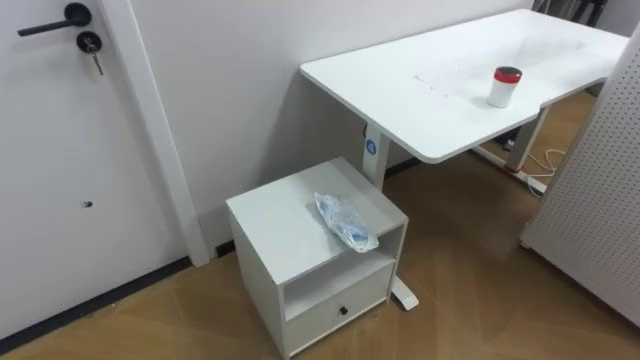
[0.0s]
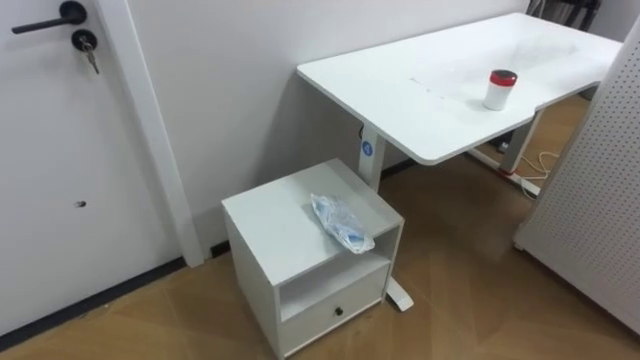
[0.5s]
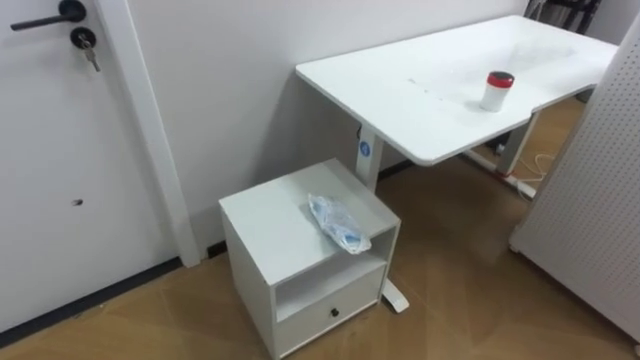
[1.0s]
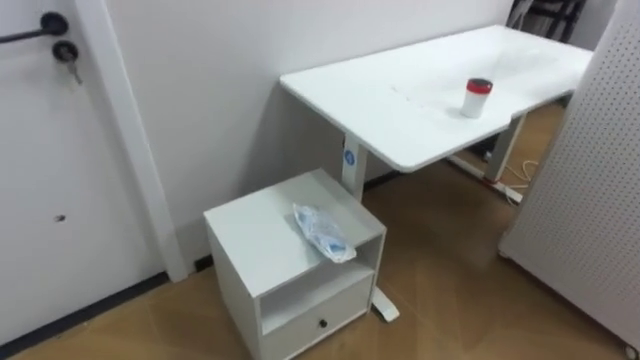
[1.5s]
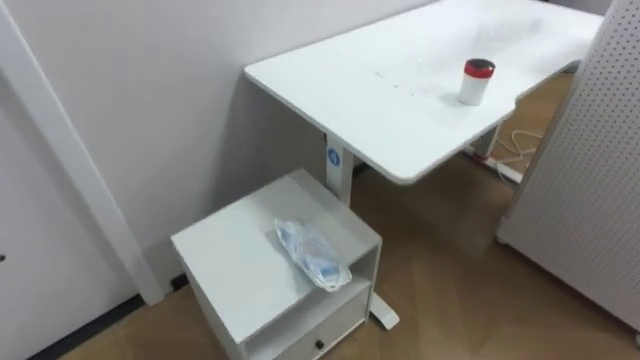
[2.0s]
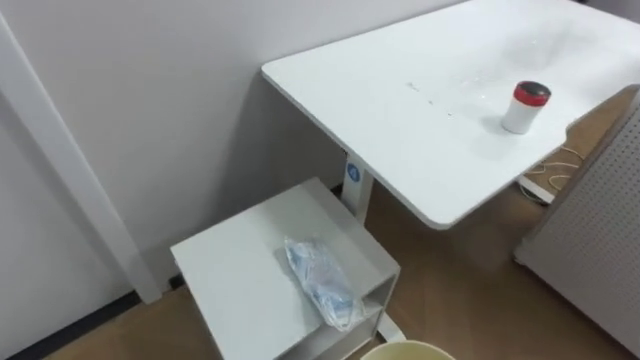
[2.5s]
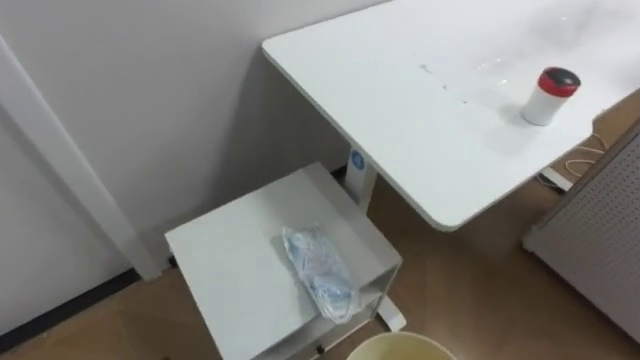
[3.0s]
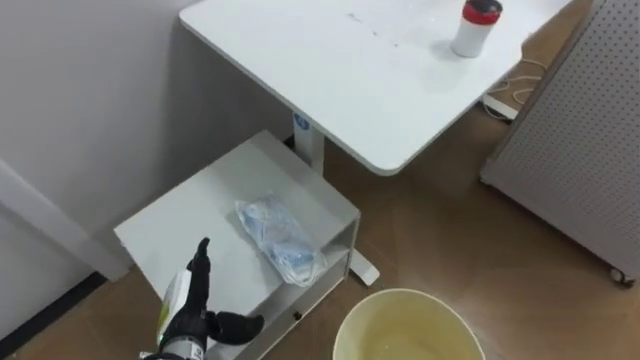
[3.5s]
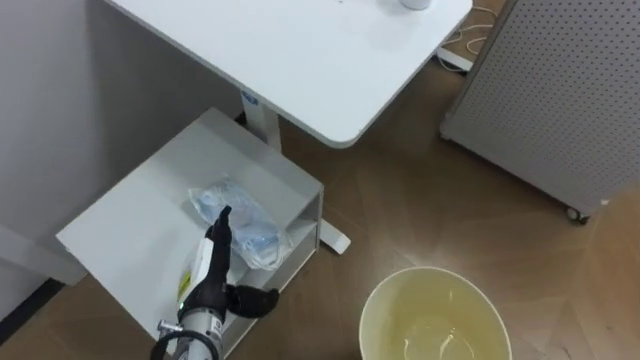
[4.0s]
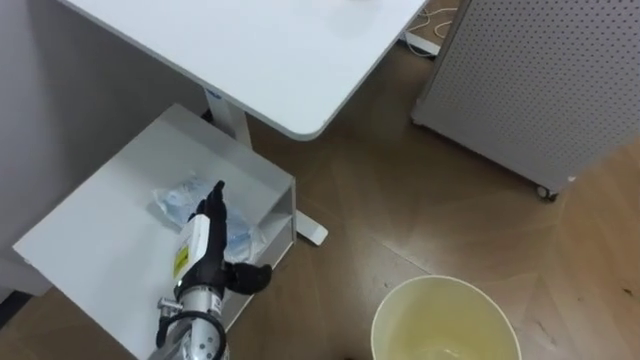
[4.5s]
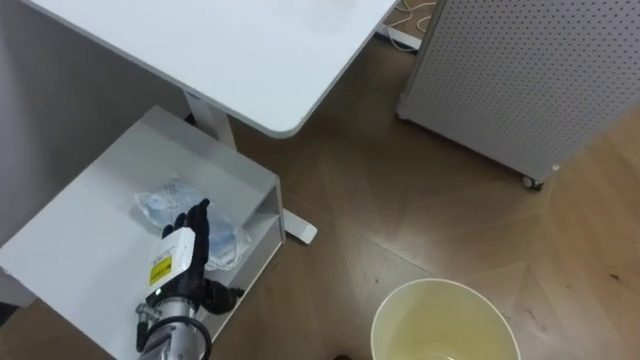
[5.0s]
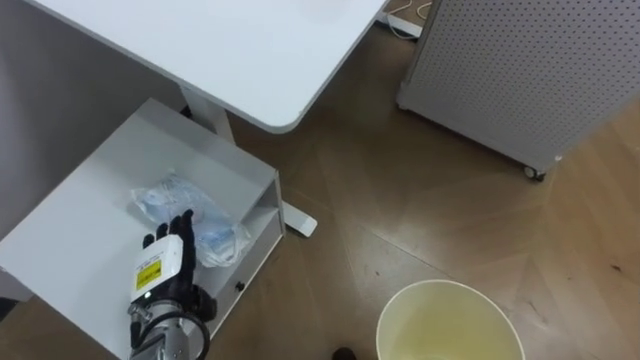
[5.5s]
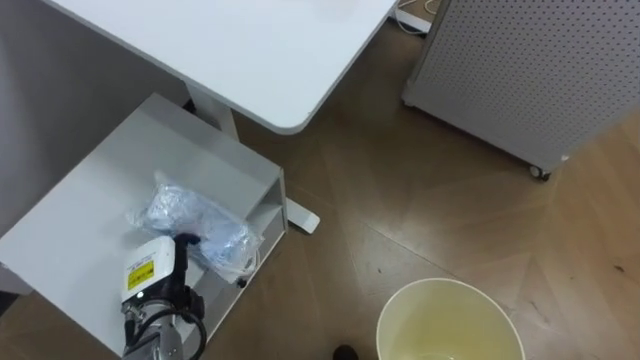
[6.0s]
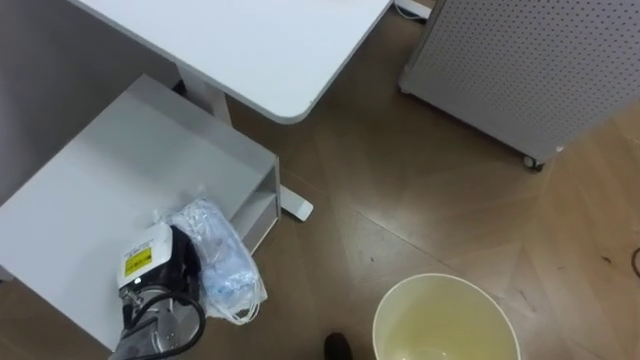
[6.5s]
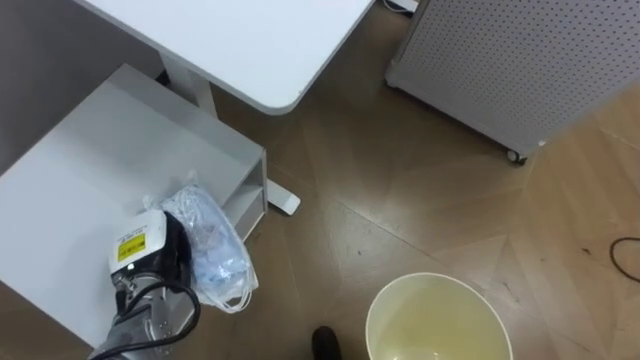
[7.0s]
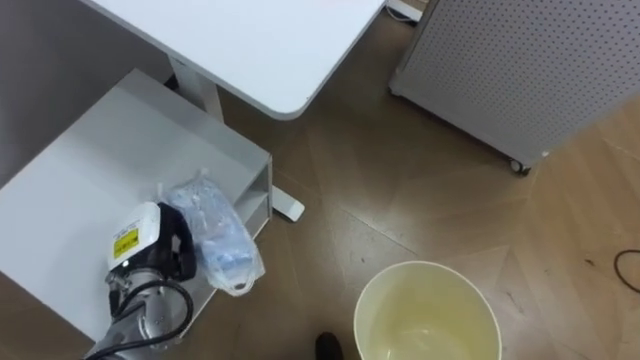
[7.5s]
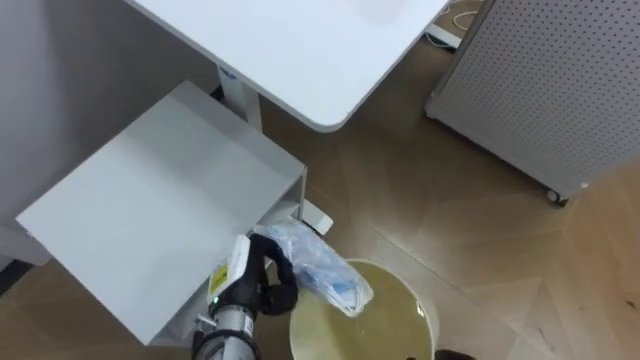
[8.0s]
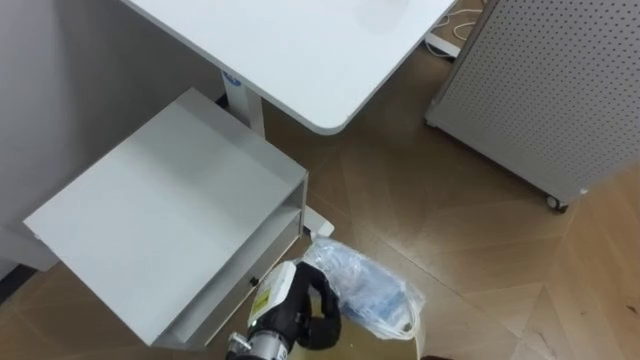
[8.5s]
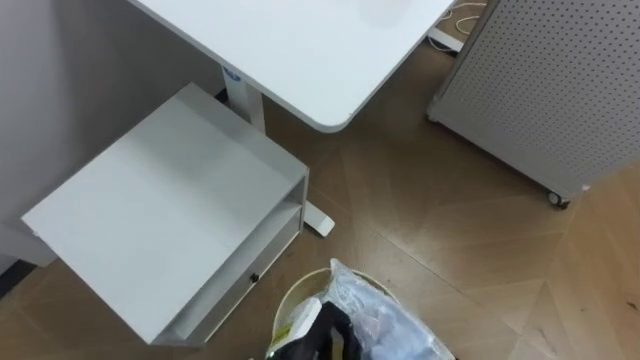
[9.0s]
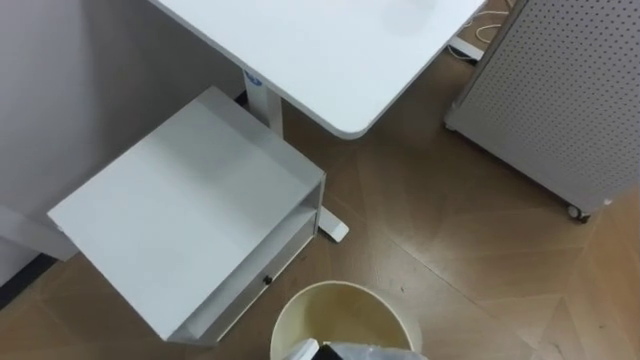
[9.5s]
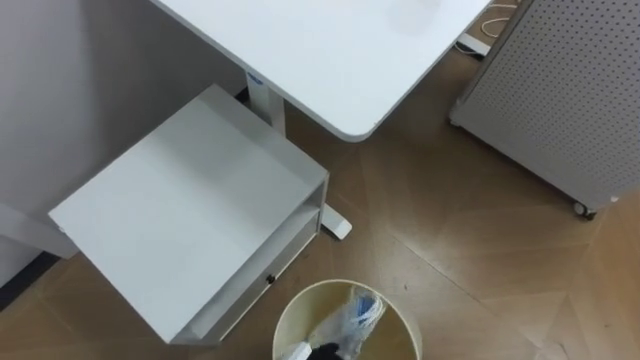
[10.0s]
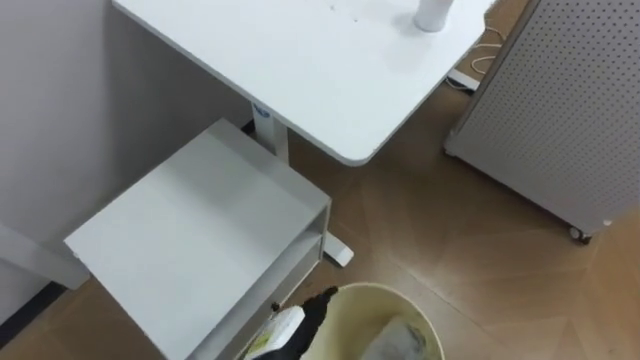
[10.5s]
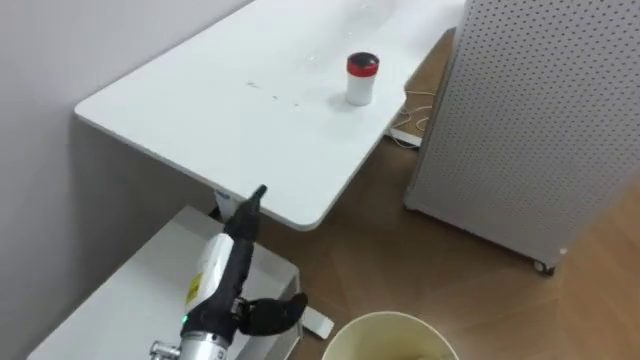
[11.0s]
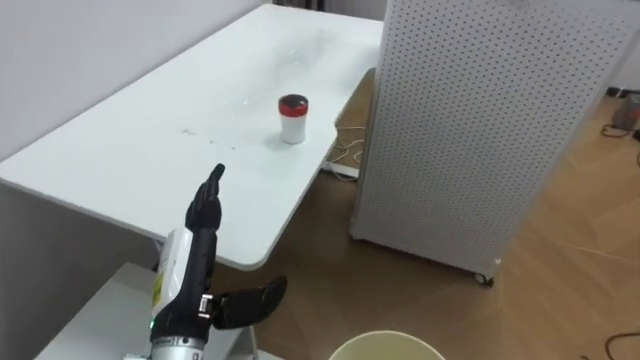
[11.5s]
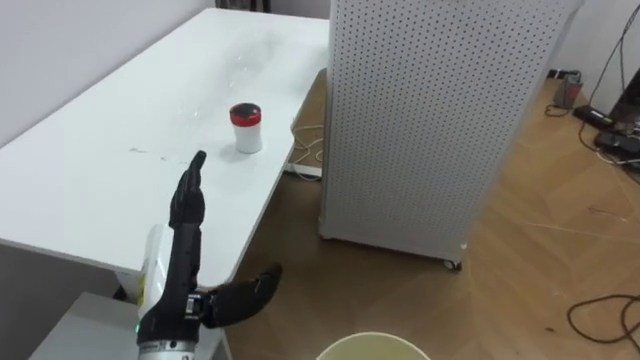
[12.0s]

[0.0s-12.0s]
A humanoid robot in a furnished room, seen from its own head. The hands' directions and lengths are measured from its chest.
Task of the whole recording: Pick up the light blue package, the candy box, and the dark blue package separately, and put them into the trash can held in your right hand.
4.0s to 6.0s: The left hand is displaced to the left by roughly 5 cm.
6.0s to 8.0s: The left hand shifts about 10 cm to the right, and closes up.
10.0s to 12.0s: The robot rotates roughly 30 degrees to its right.

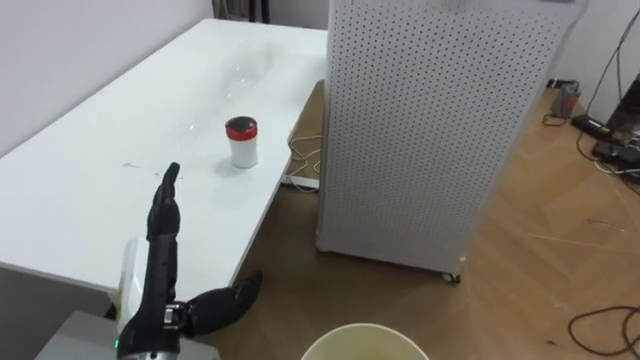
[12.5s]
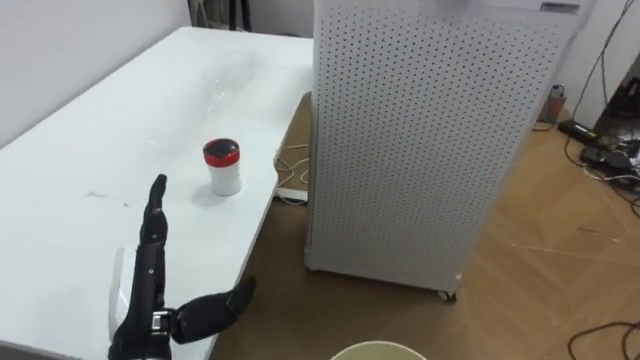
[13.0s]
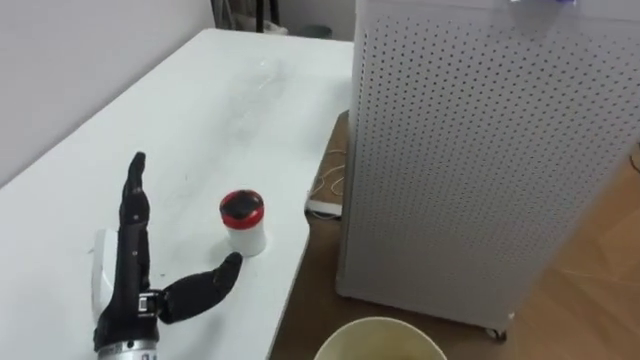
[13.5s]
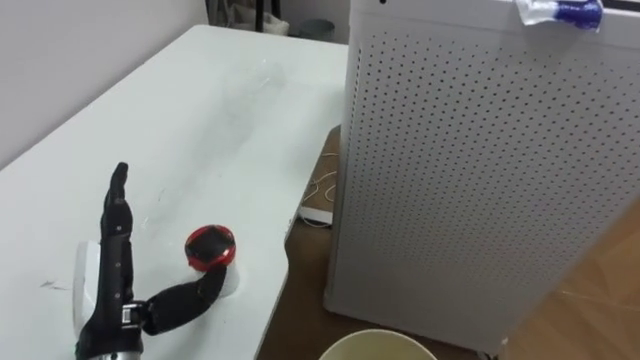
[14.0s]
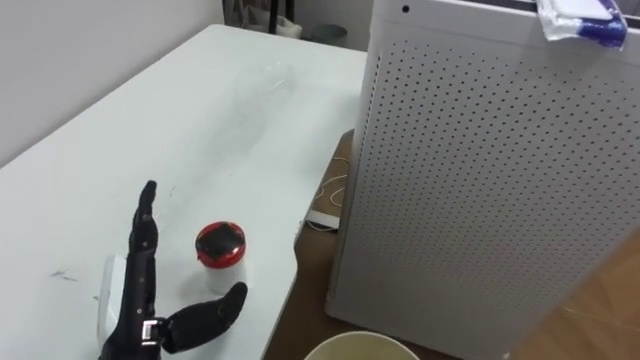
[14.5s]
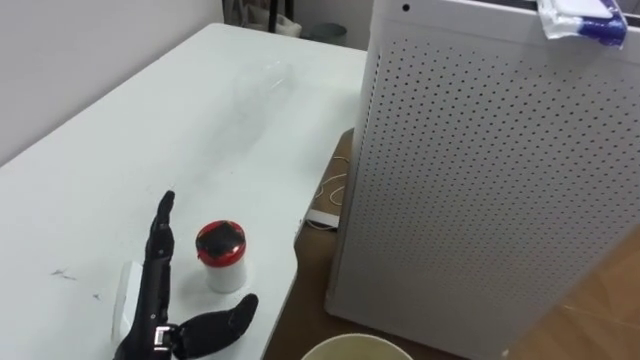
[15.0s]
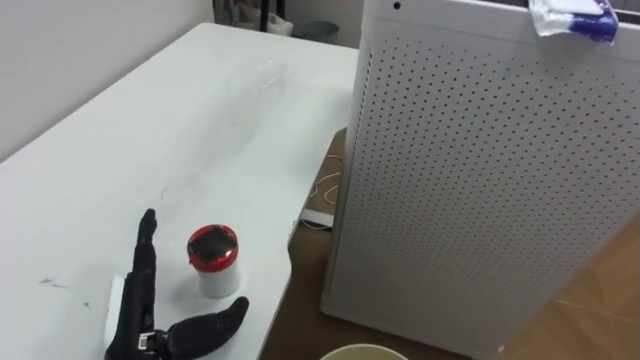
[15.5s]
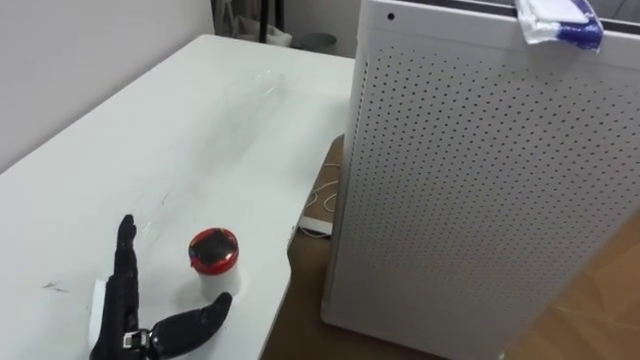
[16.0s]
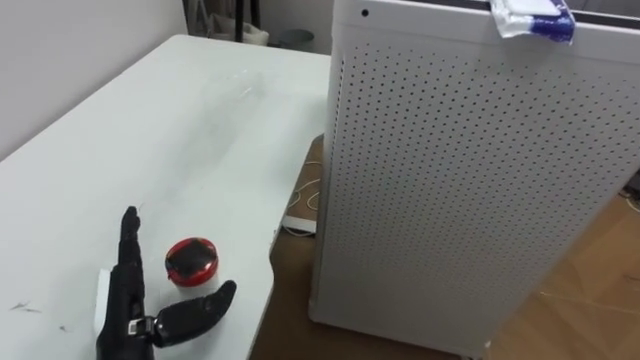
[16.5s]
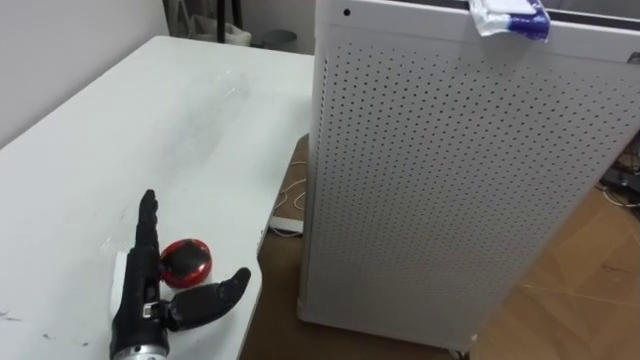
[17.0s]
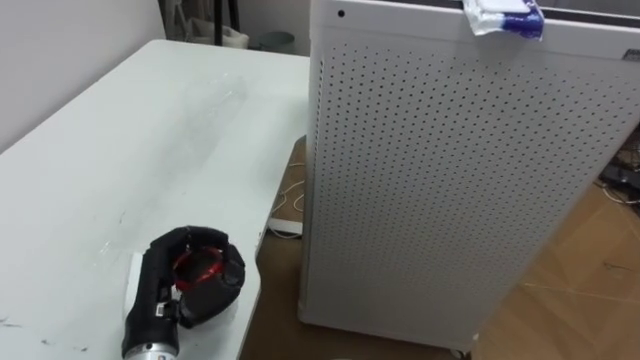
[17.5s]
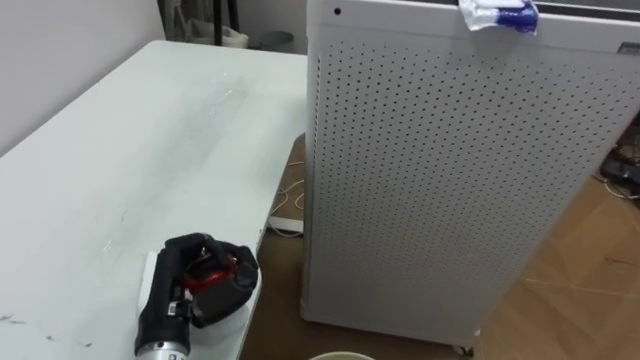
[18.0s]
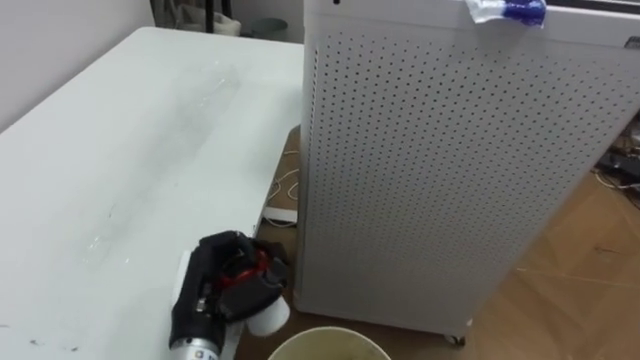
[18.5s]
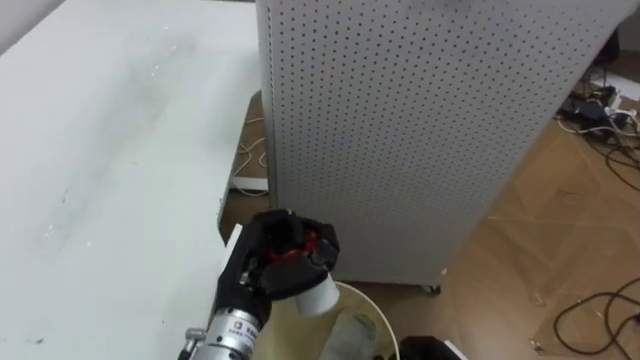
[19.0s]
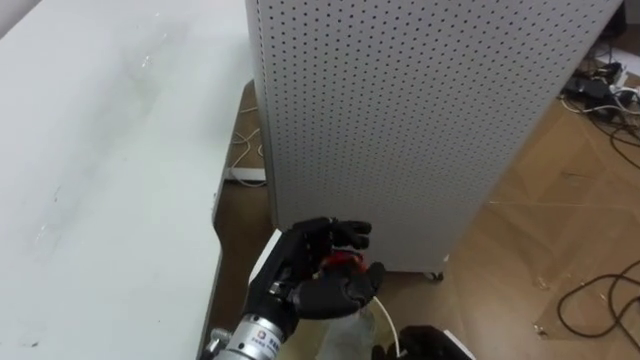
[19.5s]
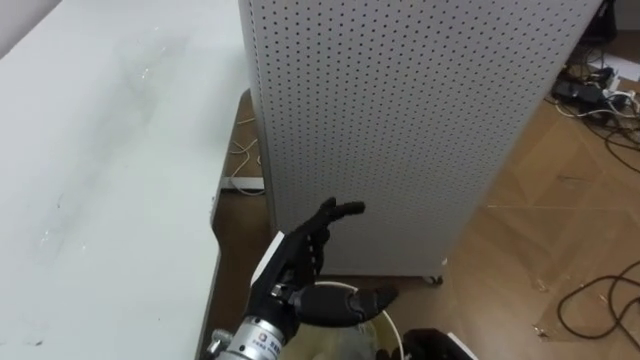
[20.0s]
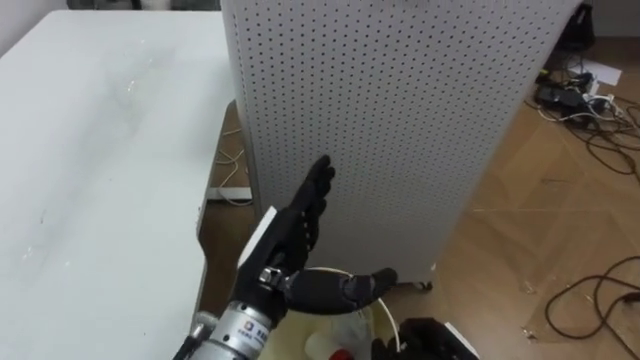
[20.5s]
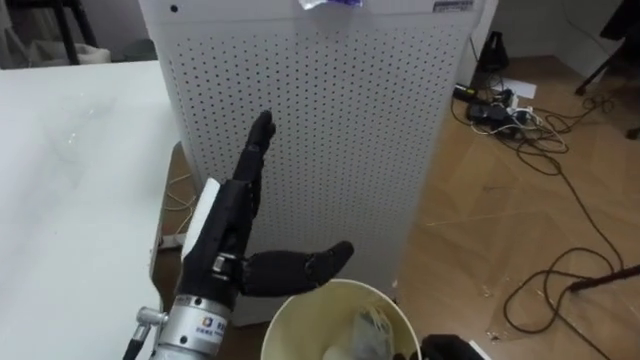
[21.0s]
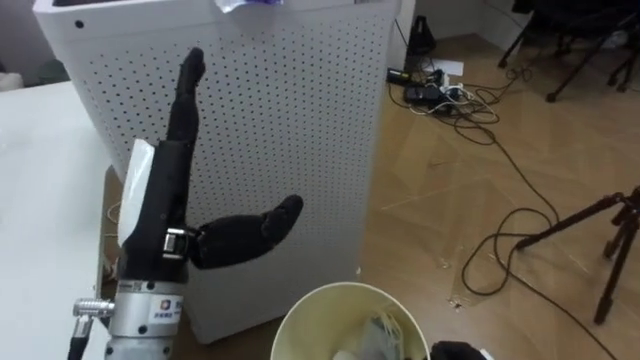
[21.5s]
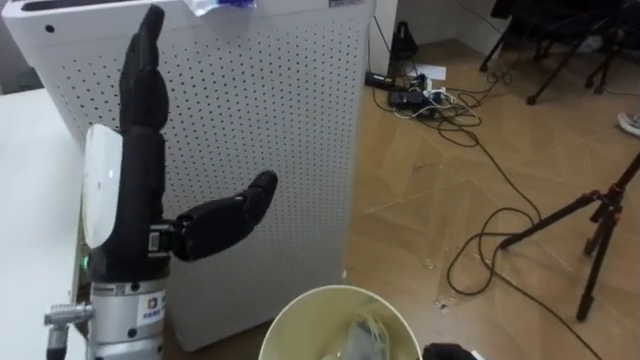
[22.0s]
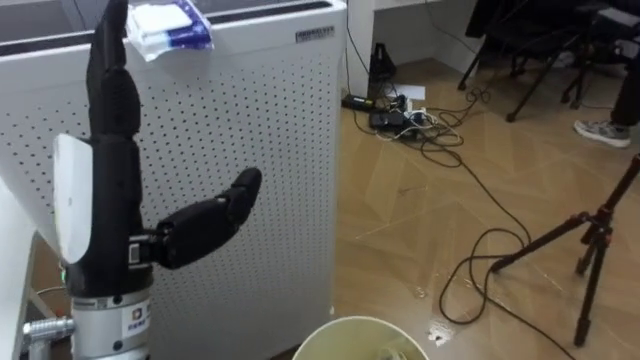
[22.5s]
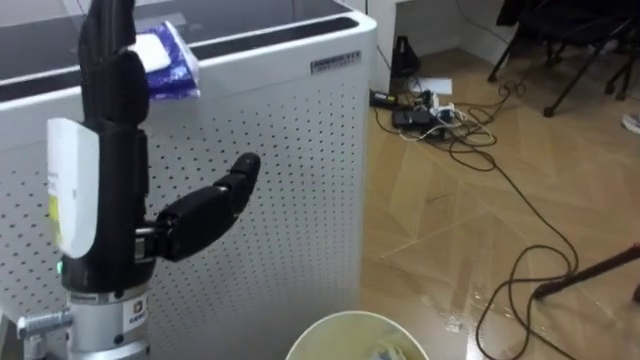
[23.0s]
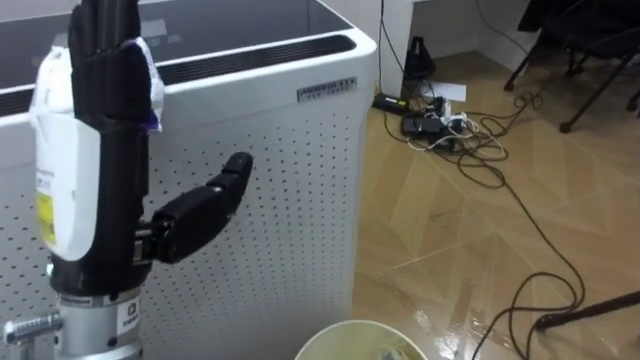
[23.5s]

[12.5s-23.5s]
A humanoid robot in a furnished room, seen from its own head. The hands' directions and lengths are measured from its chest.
Task of the whole recording: Pick up the light blue package, the candy box, and the dark blue package separately, and put them into the trash can held in your right hand.
16.0s to 18.0s: The left hand moves about 5 cm, and closes its fingers.
18.0s to 20.0s: The left hand goes about 15 cm to the right, and opens up.
20.0s to 21.5s: The robot's body swings approximately 20 degrees to its right. The left hand is displaced upward and to the left by roughly 15 cm.
21.5s to 23.5s: The left hand travels upward by about 5 cm.
